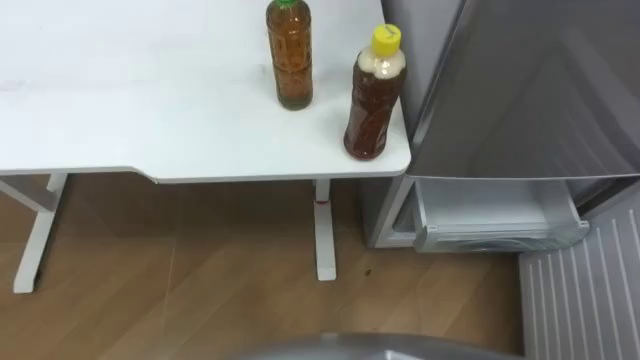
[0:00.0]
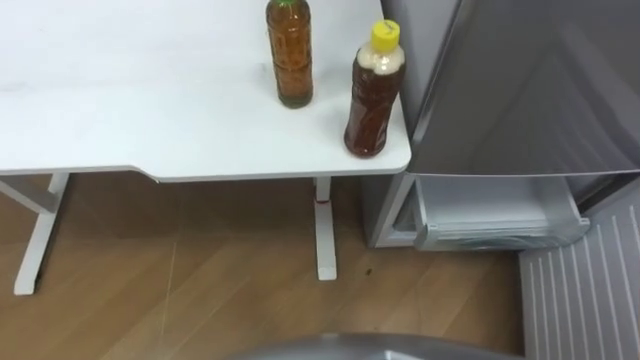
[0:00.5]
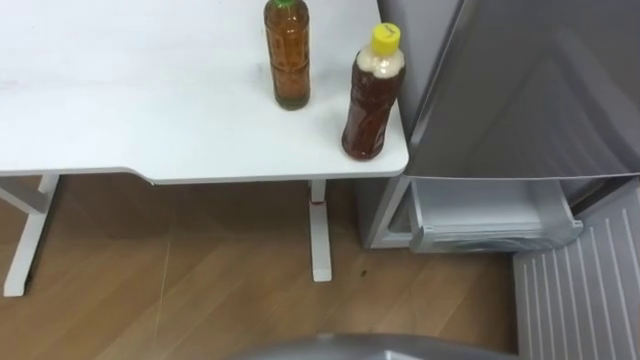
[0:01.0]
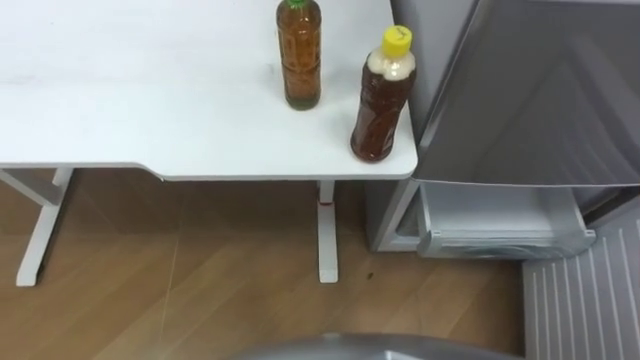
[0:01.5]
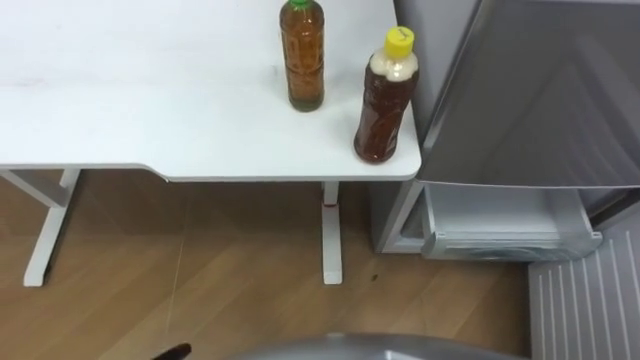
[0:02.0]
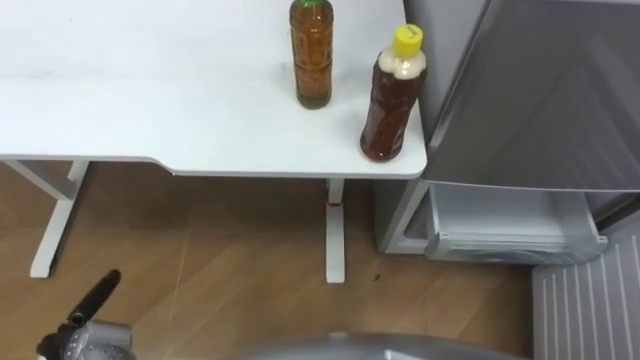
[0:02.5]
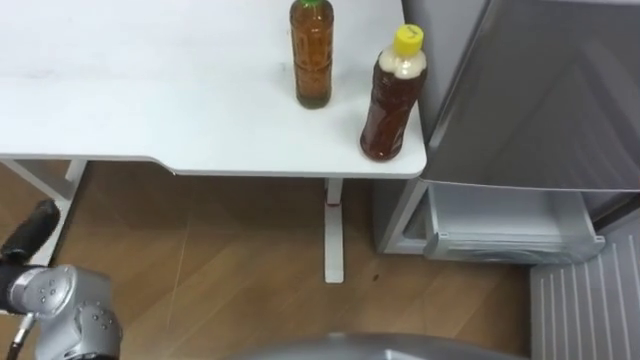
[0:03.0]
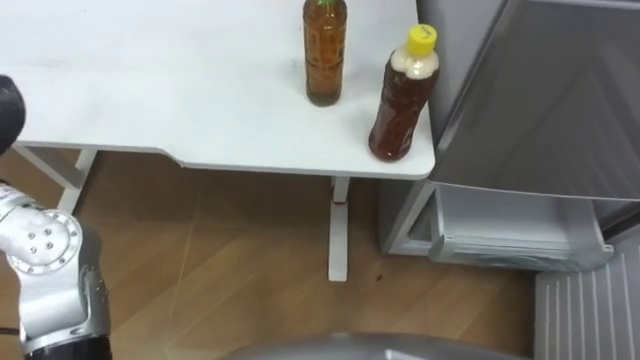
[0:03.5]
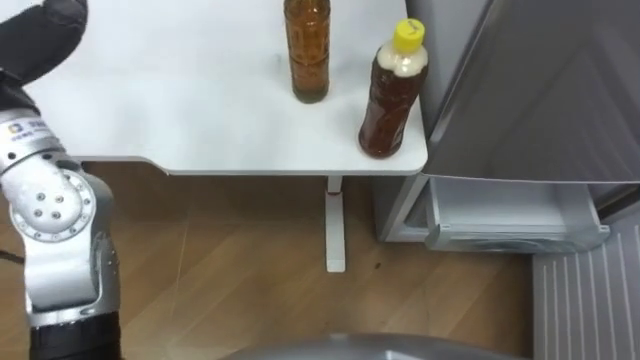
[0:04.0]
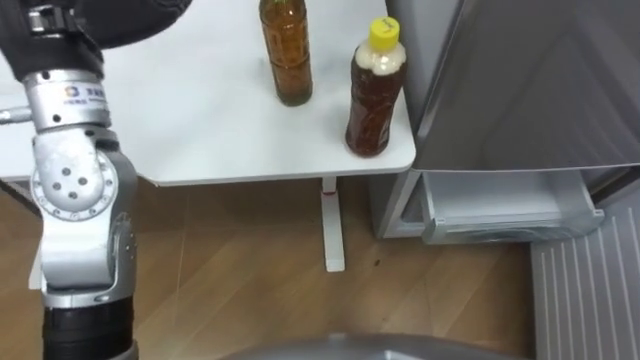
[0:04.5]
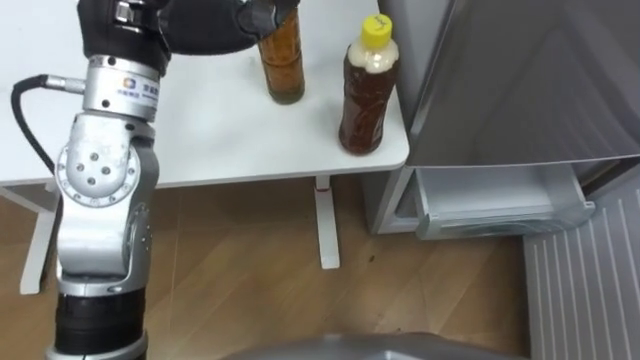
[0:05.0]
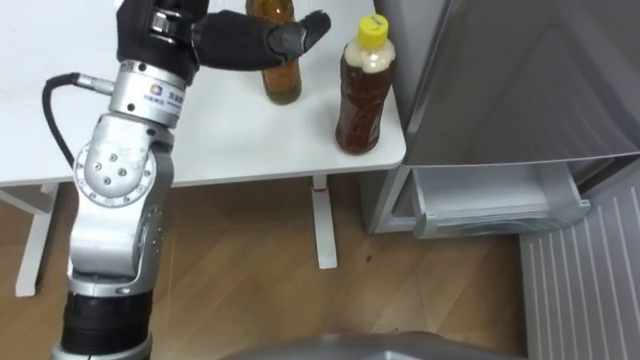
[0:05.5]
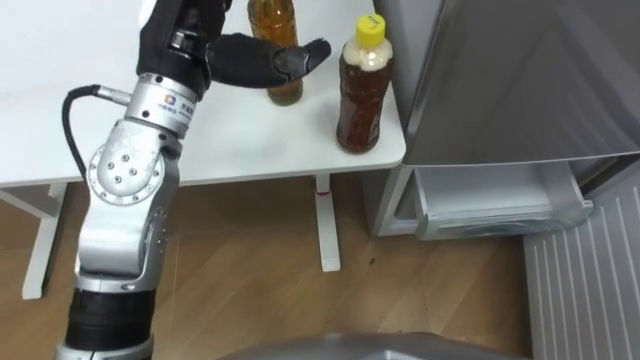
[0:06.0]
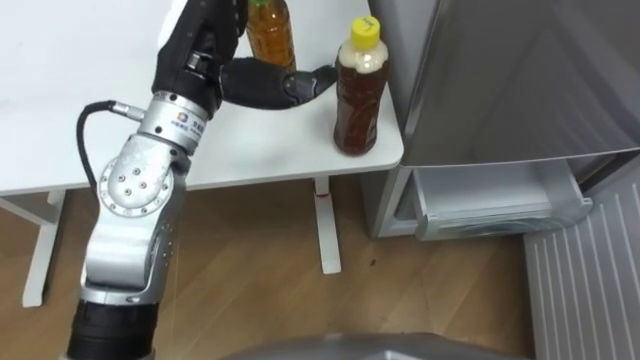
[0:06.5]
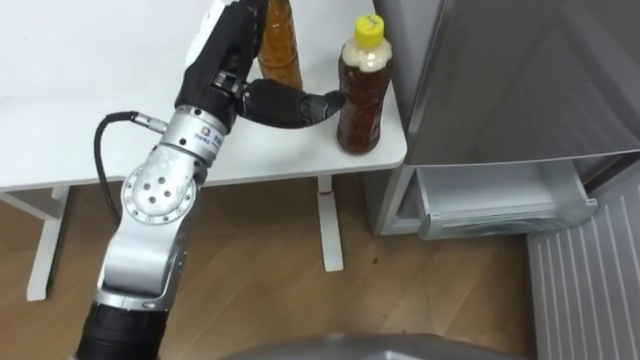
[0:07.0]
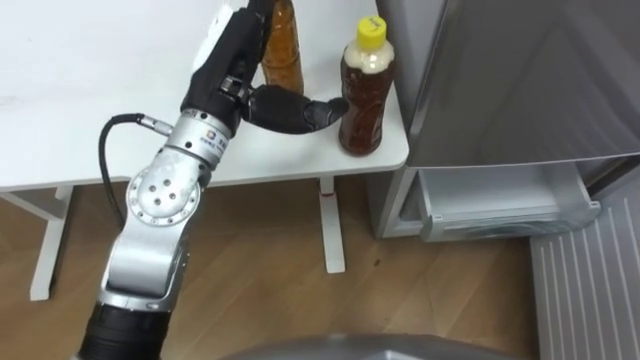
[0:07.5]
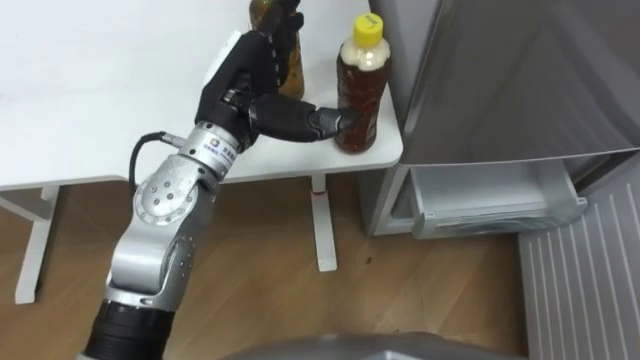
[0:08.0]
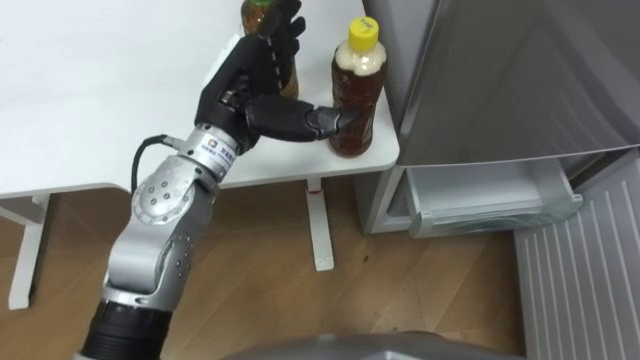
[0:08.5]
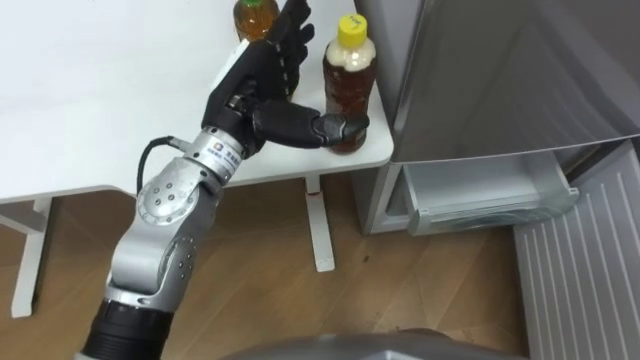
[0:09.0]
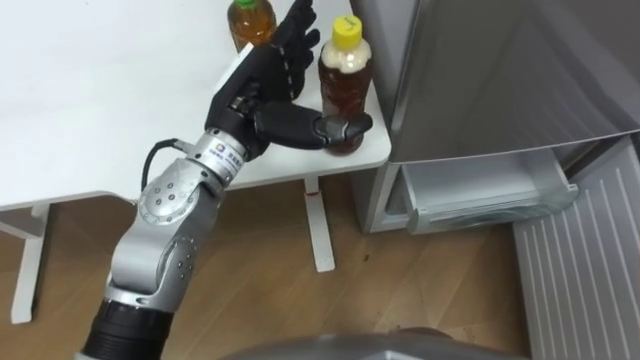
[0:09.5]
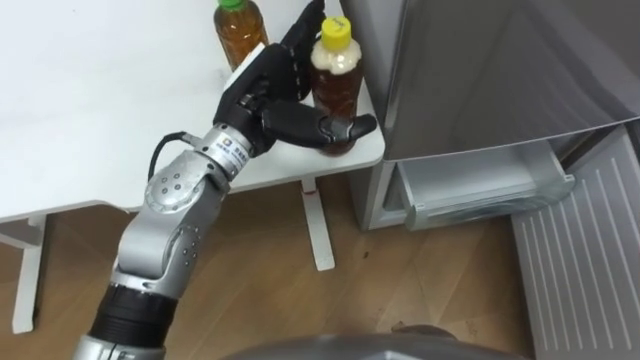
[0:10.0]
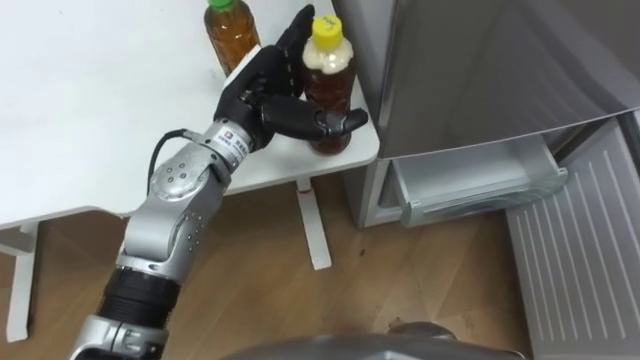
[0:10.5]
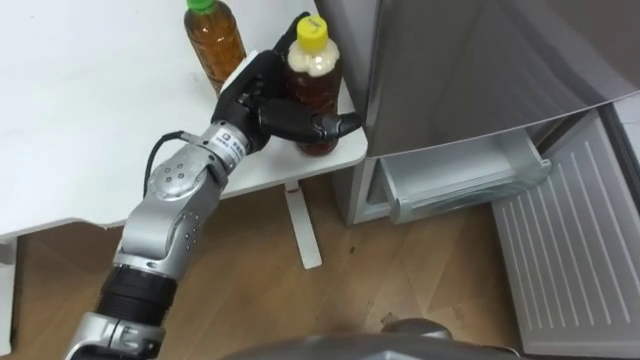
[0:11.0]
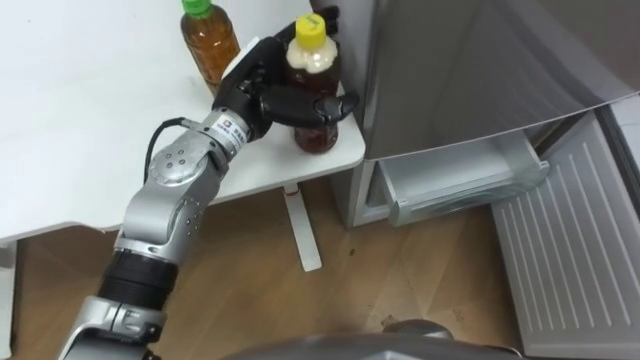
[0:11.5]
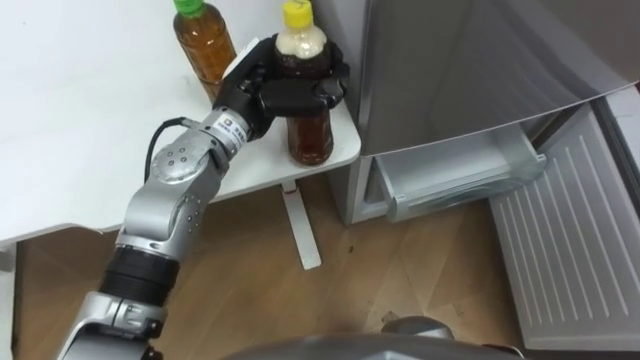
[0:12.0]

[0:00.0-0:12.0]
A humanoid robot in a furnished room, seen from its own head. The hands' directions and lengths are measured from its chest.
Task of the whole recording: Place the drink on the table on the bottom shelf of the refrigerator, then close the drawer and the refrigerator door.
0:06.0 to 0:08.0: The left hand travels downward by some 5 cm.
0:10.0 to 0:12.0: The left hand closes.

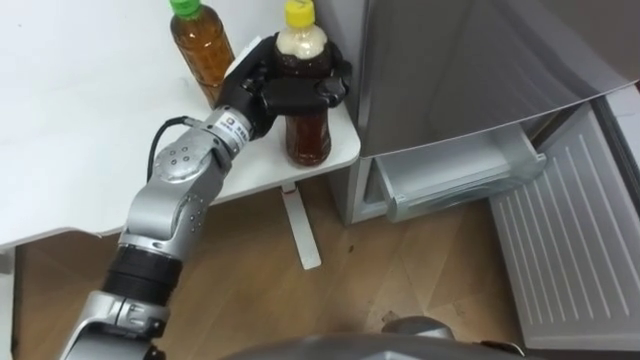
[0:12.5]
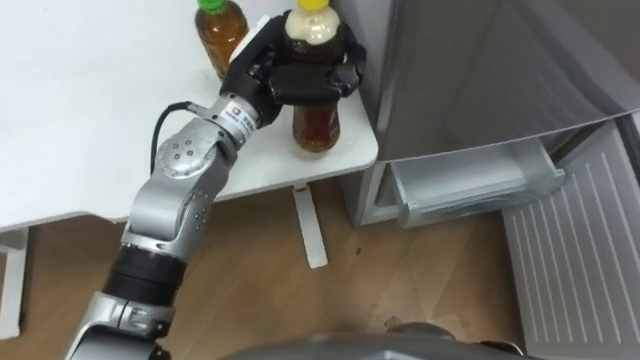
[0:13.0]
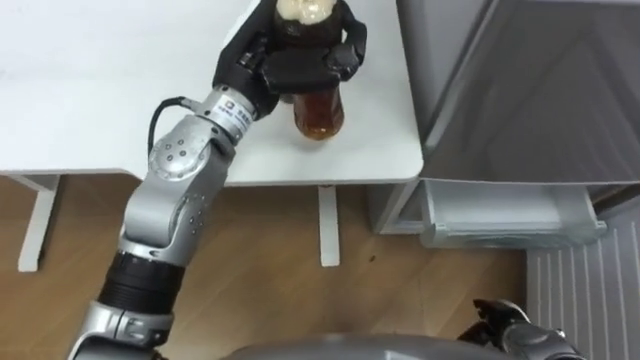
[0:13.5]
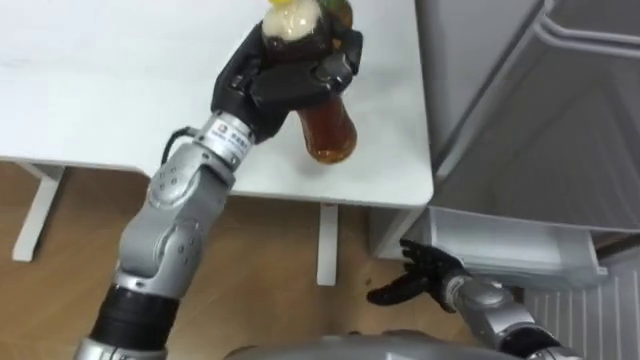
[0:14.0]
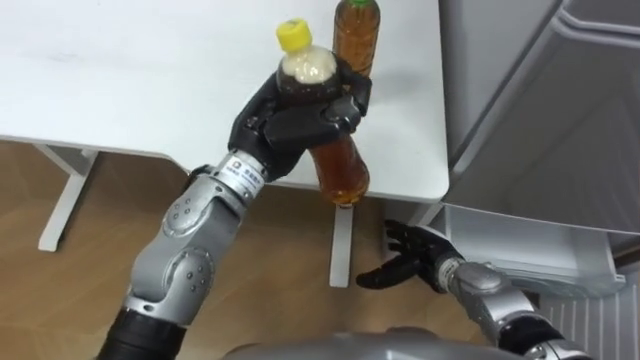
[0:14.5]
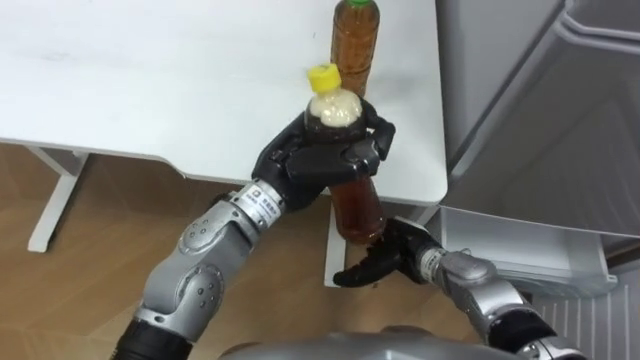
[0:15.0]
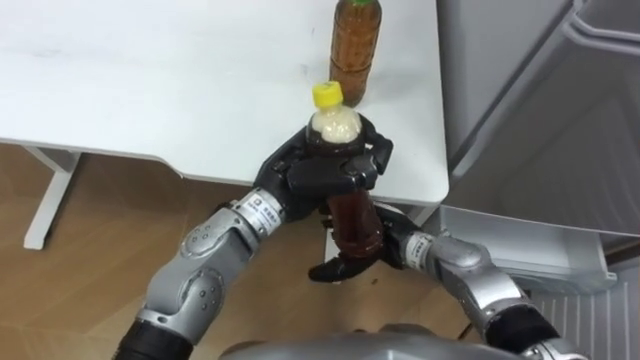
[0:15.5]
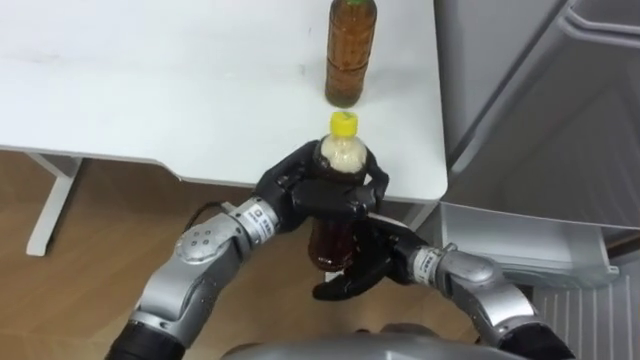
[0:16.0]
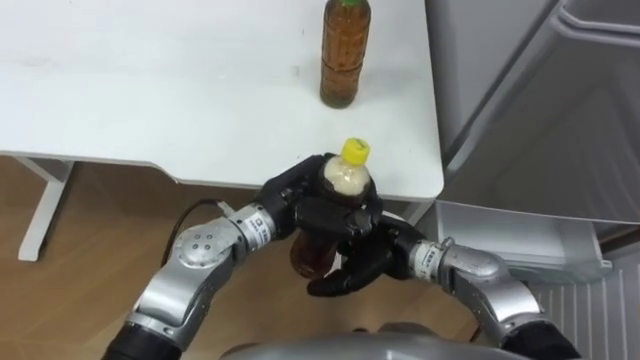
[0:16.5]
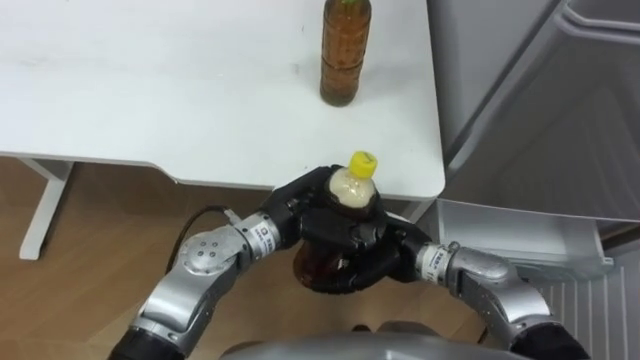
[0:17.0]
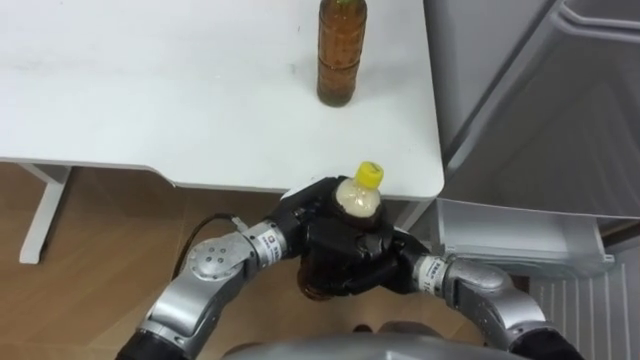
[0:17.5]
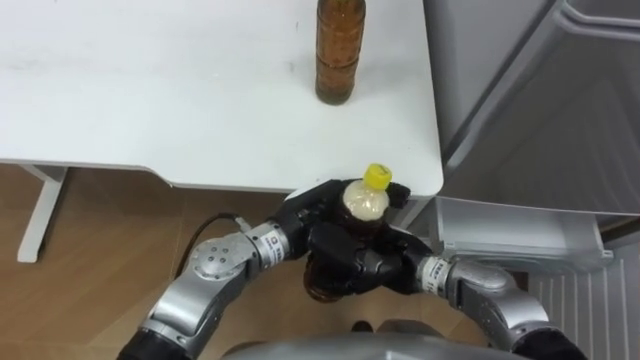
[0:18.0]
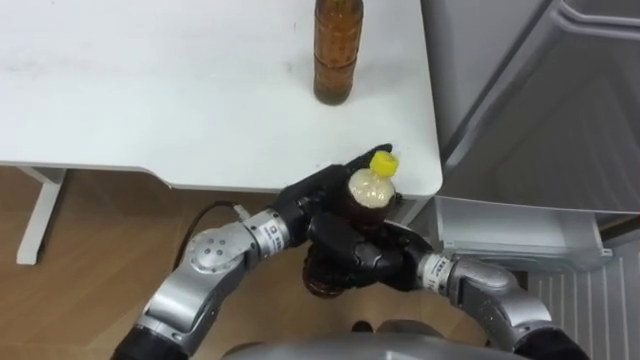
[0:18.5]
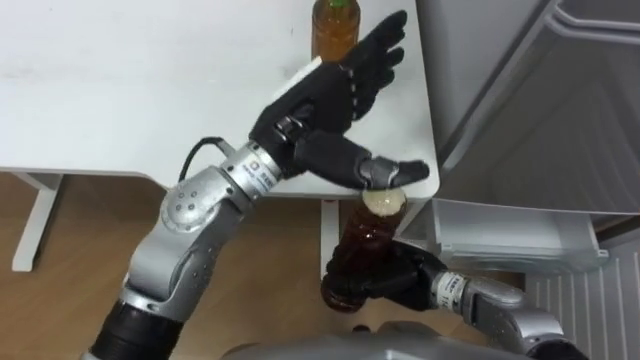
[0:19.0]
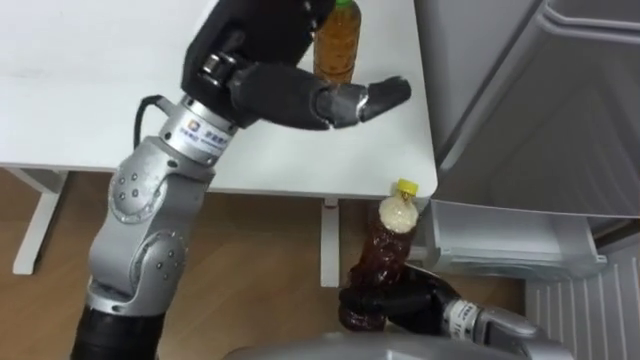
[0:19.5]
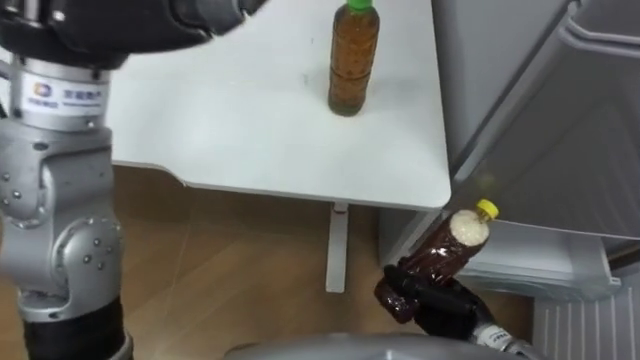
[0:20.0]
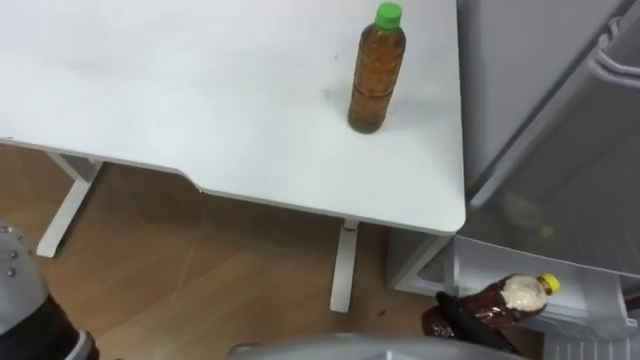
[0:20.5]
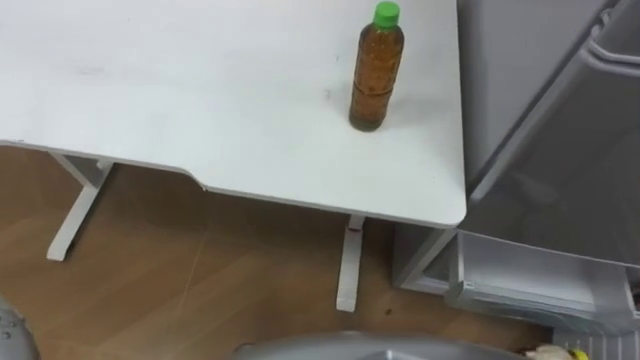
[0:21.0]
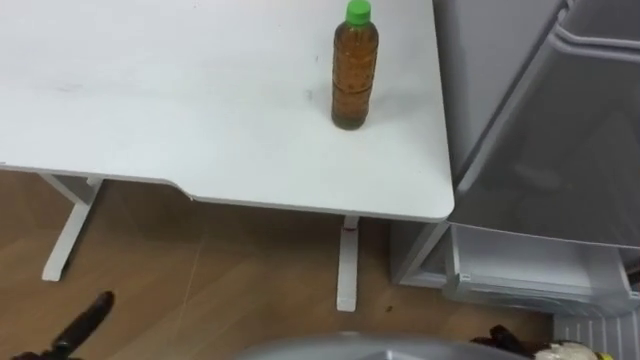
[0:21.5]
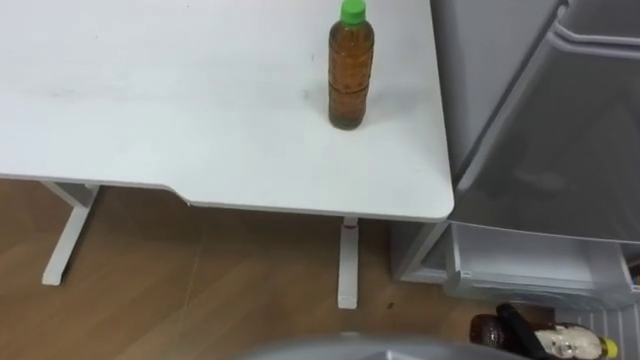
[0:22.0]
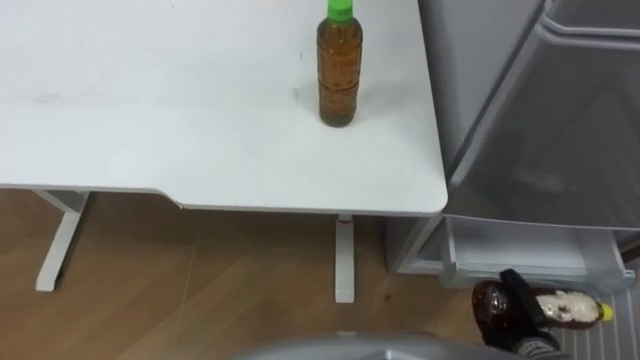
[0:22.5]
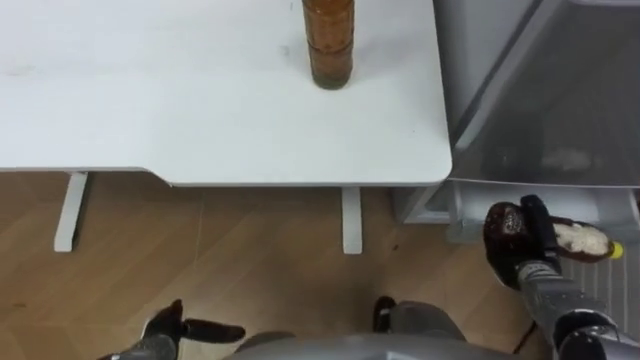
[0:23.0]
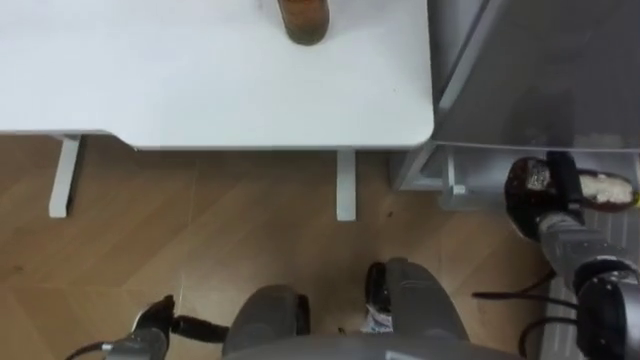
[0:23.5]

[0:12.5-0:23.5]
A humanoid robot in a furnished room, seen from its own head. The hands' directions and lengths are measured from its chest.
Task of the whole recording: Place the drink on the table on the bottom shelf of the refrigerator, then close the drawer and the refrigerator door.
0:12.5 to 0:14.5: The left hand is displaced backward by roughly 5 cm.
0:14.5 to 0:16.0: The right hand shifts some 10 cm to the left and upward, while the left hand heads downward, covering about 5 cm.
0:16.0 to 0:18.0: The right hand closes its fingers. Meanwhile the left hand opens its fingers.
0:18.0 to 0:20.0: The right hand travels to the right, backward and downward by roughly 15 cm, while the left hand goes about 35 cm upward and to the left.
